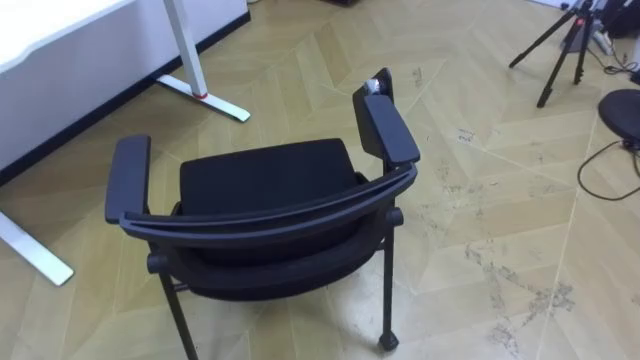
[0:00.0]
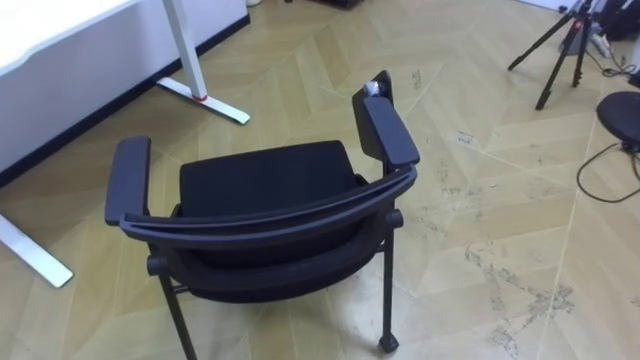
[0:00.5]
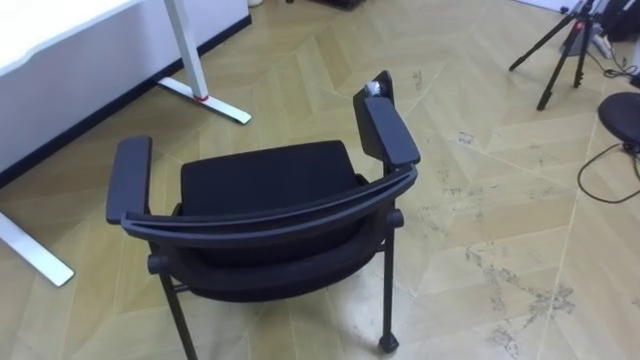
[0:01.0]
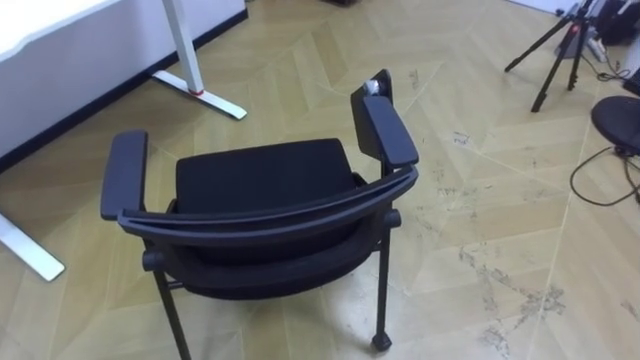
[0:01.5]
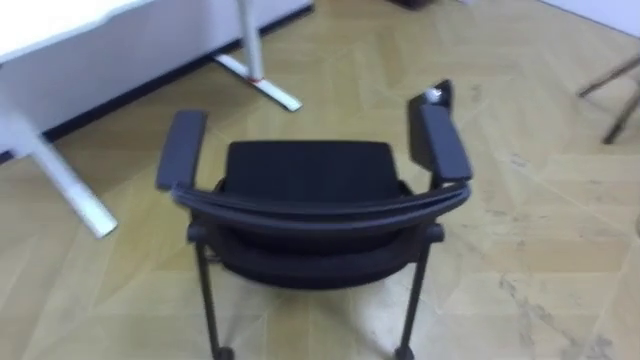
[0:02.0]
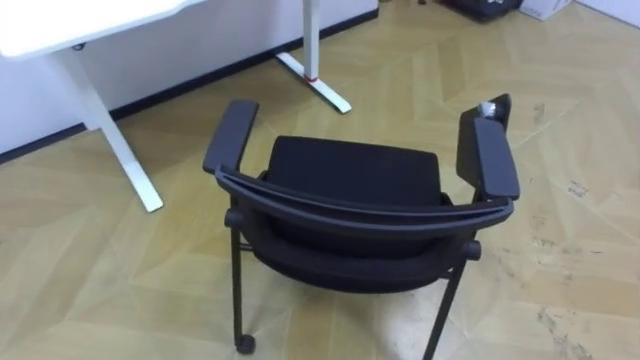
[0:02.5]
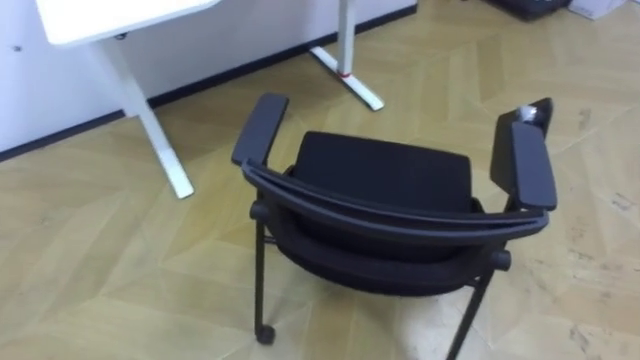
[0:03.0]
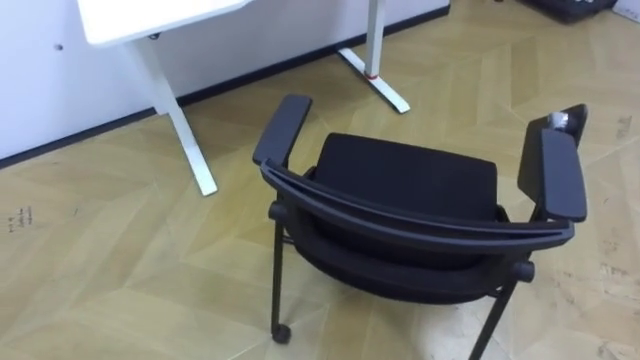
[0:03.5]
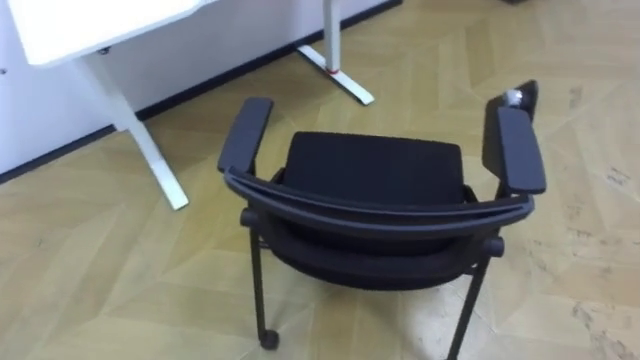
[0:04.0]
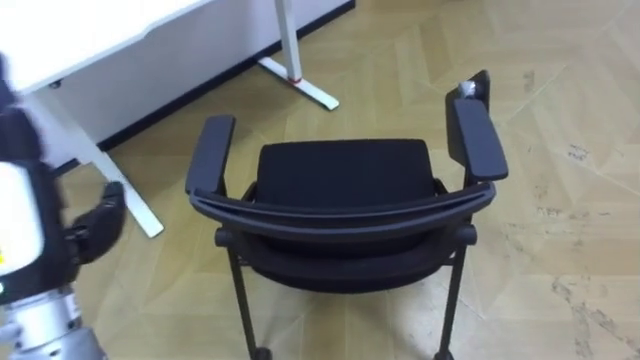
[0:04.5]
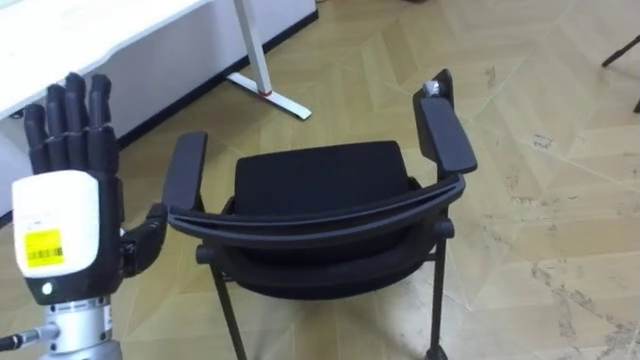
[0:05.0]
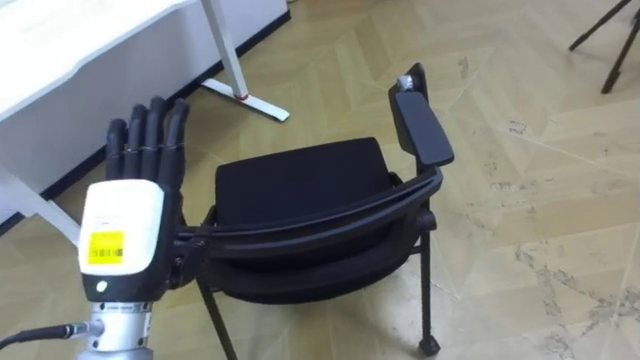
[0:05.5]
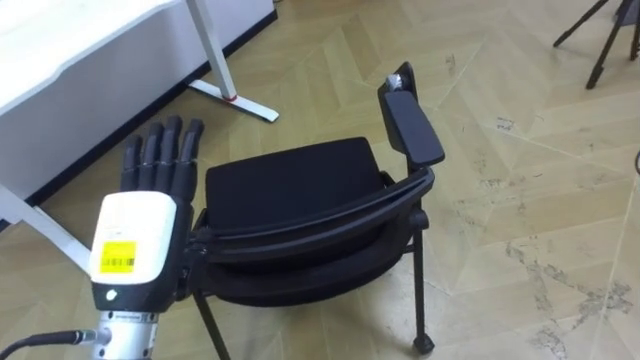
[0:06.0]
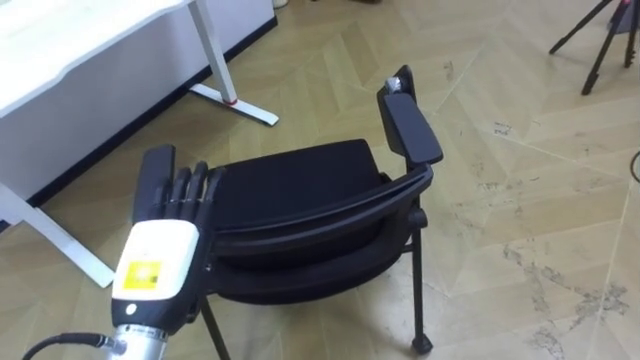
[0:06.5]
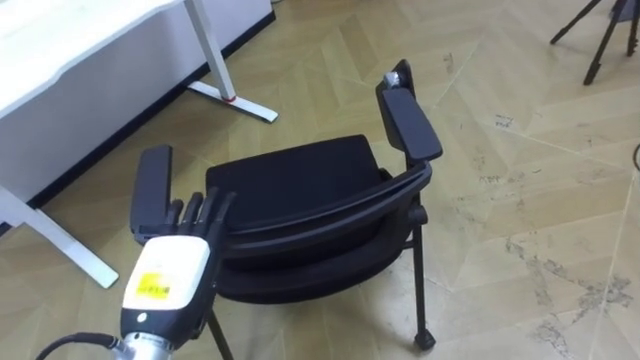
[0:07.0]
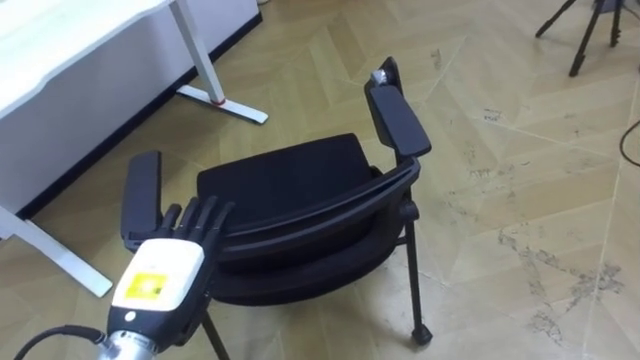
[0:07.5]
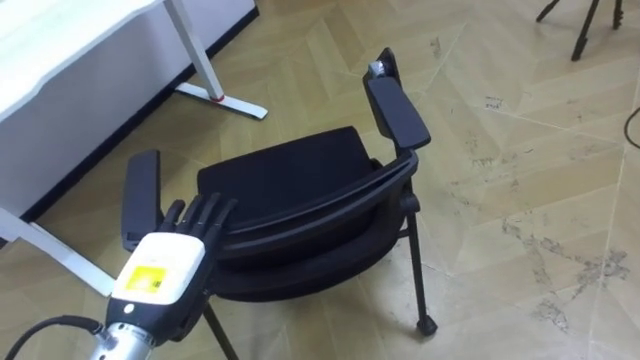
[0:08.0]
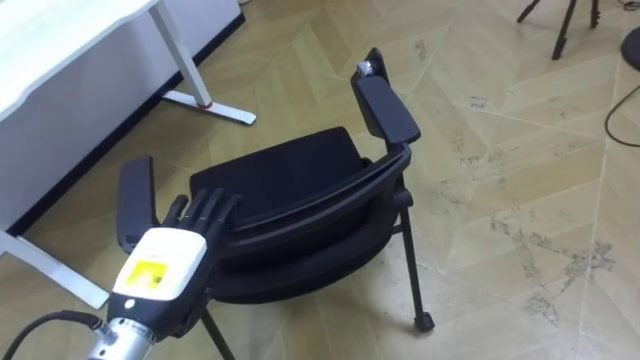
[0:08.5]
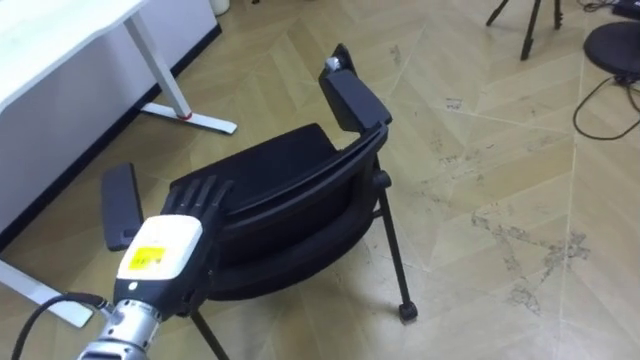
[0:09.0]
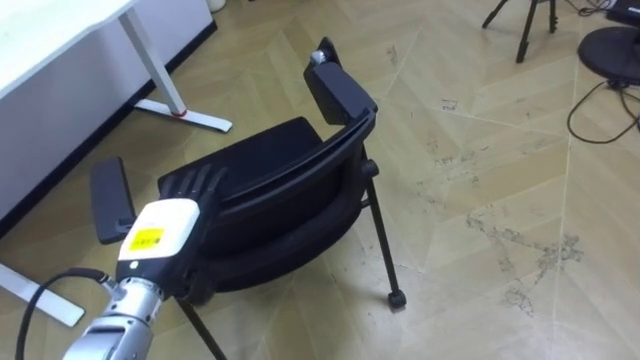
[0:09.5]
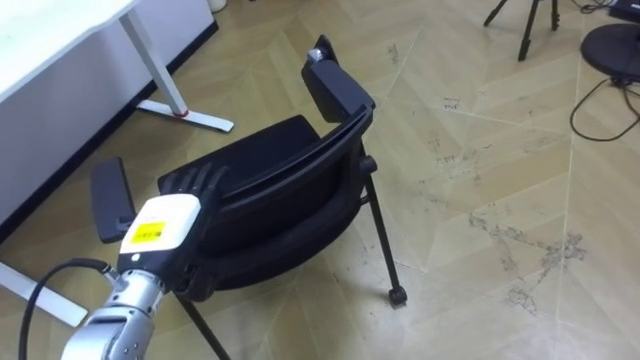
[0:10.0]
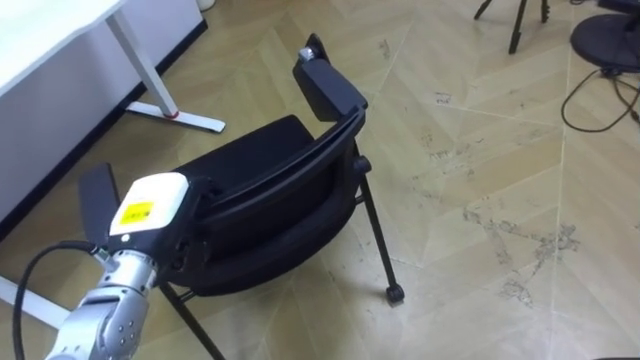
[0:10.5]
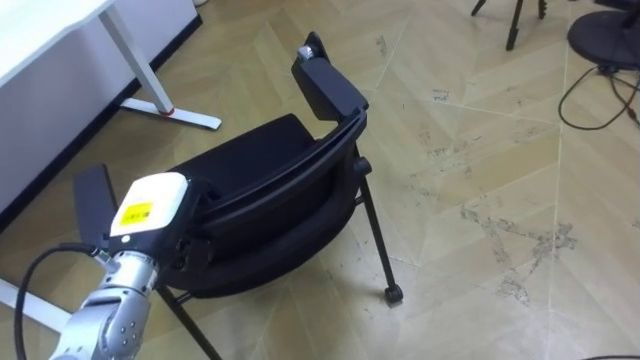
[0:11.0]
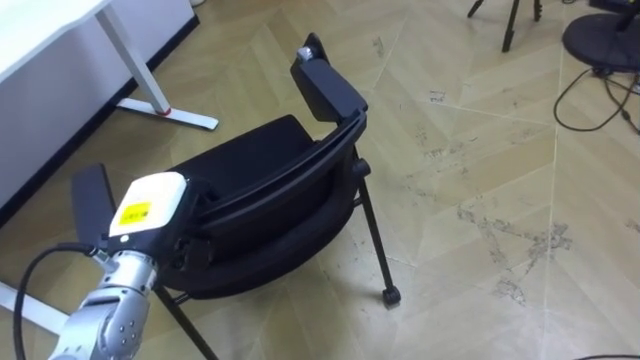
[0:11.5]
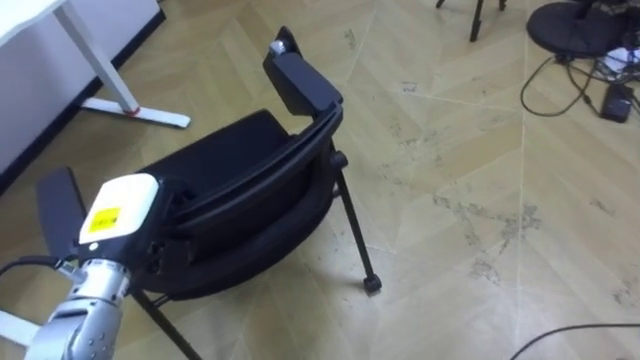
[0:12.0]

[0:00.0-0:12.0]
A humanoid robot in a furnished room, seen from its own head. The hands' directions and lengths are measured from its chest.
Task of the whole recording: Push the chair under the table.
0:06.0 to 0:08.0: The left hand shifts roughly 5 cm downward.
0:08.0 to 0:10.0: The left hand is displaced forward by roughly 5 cm.
0:10.0 to 0:12.0: The left hand closes.

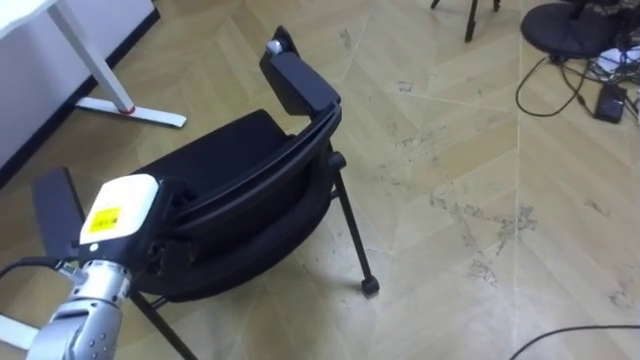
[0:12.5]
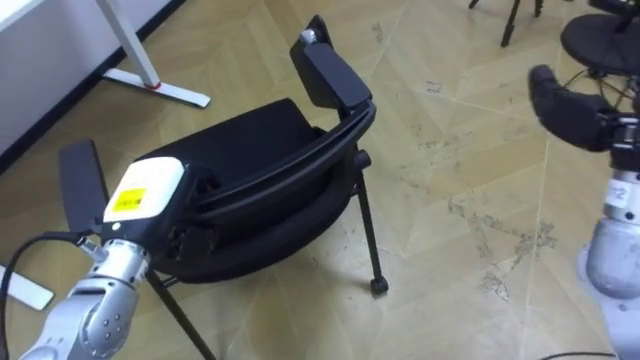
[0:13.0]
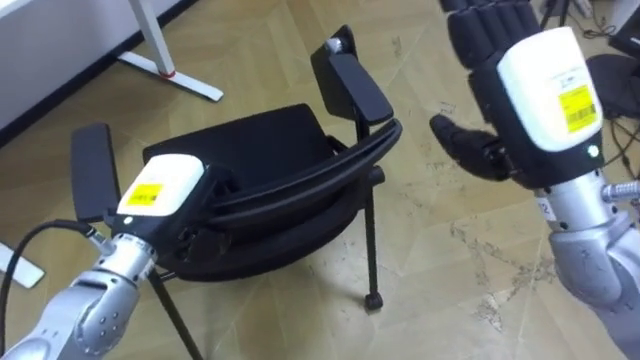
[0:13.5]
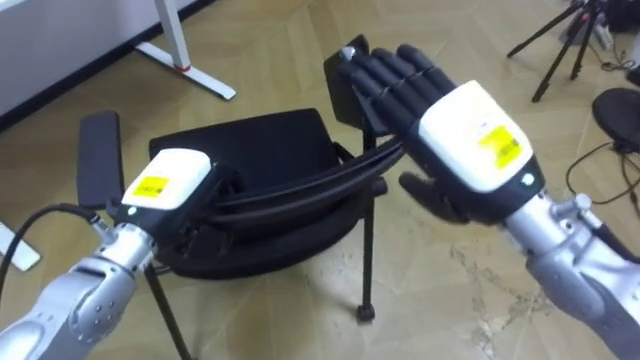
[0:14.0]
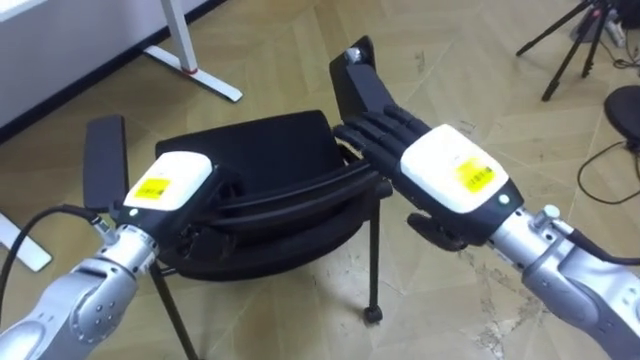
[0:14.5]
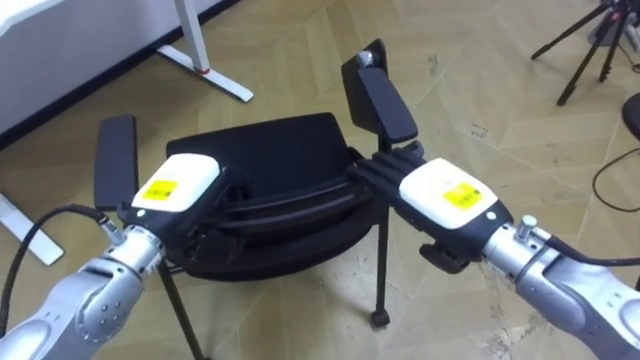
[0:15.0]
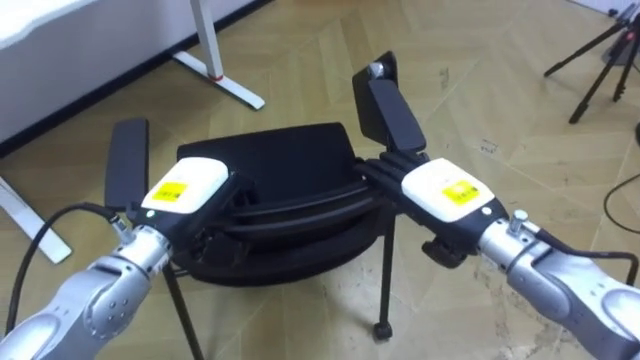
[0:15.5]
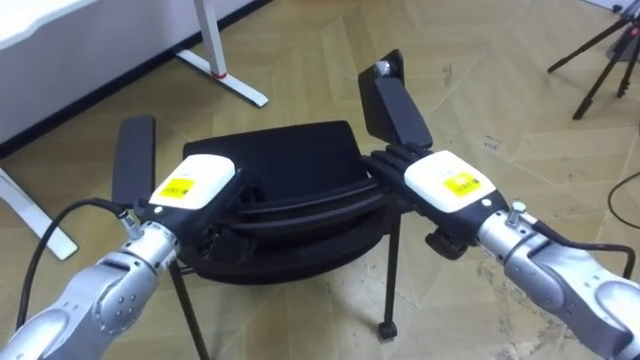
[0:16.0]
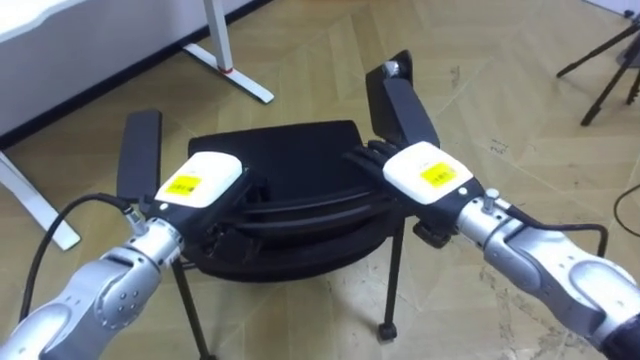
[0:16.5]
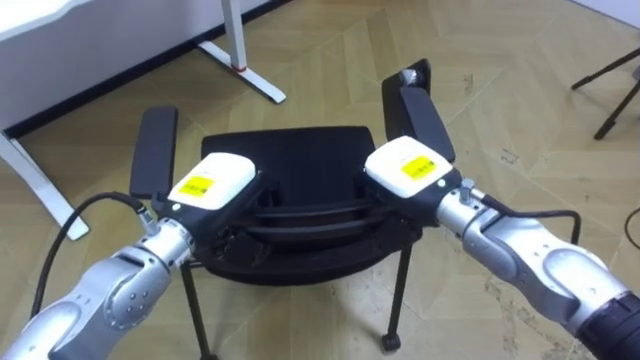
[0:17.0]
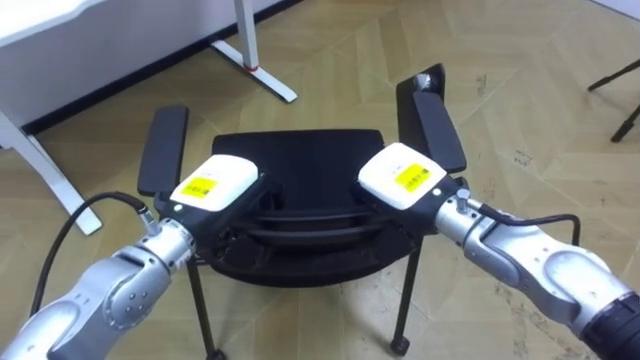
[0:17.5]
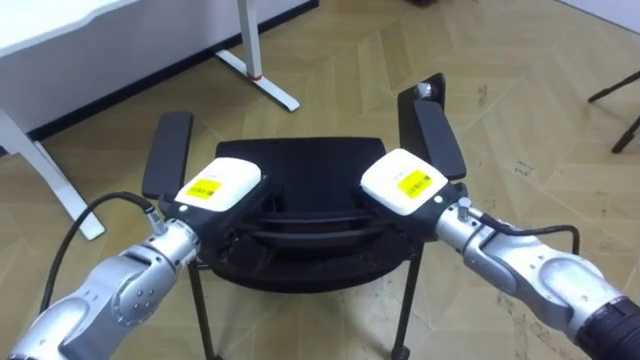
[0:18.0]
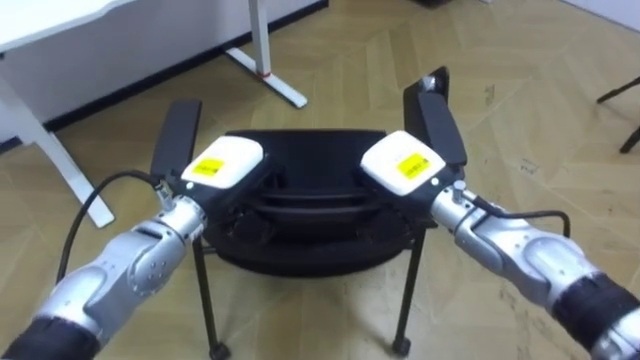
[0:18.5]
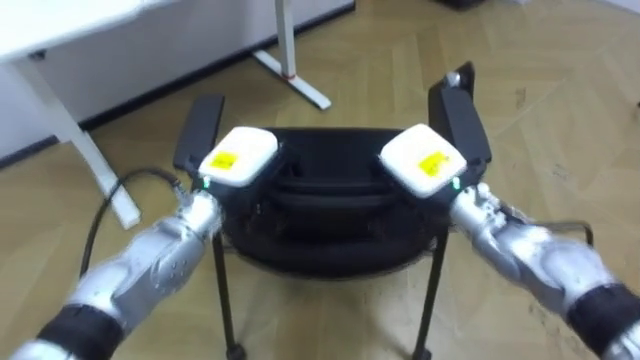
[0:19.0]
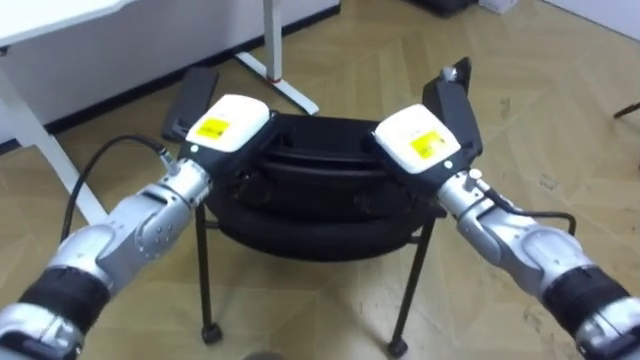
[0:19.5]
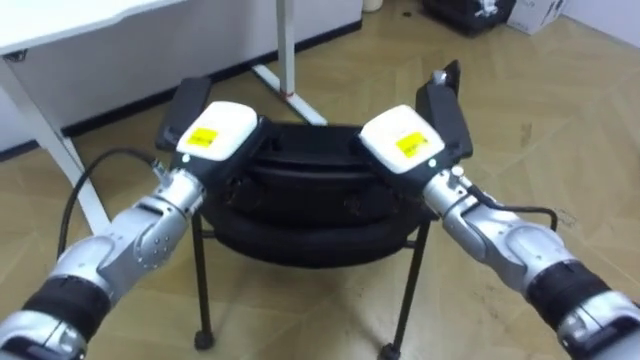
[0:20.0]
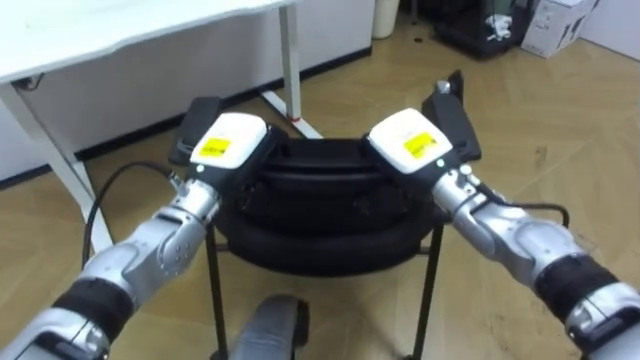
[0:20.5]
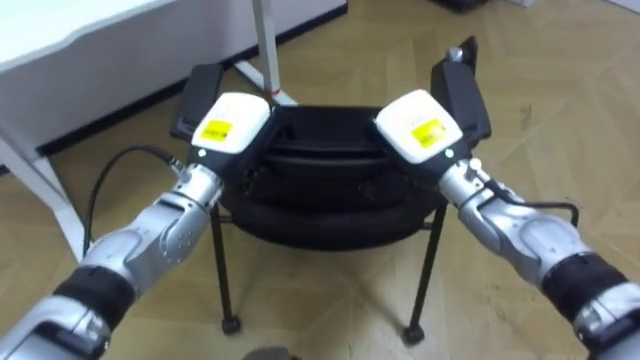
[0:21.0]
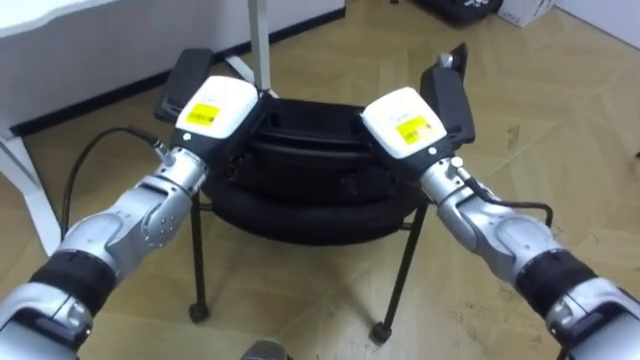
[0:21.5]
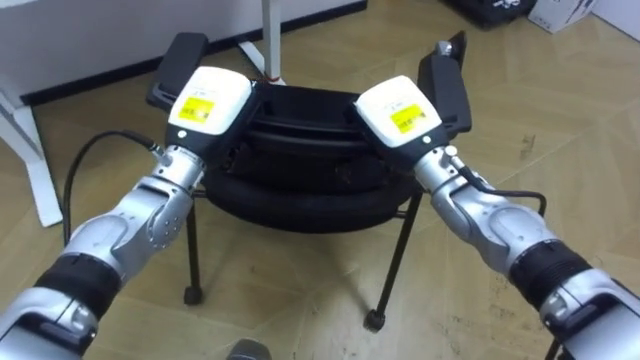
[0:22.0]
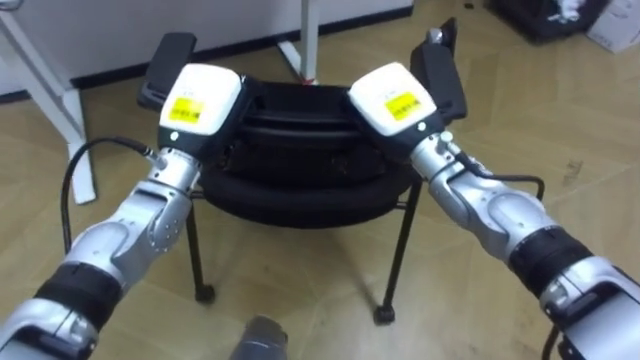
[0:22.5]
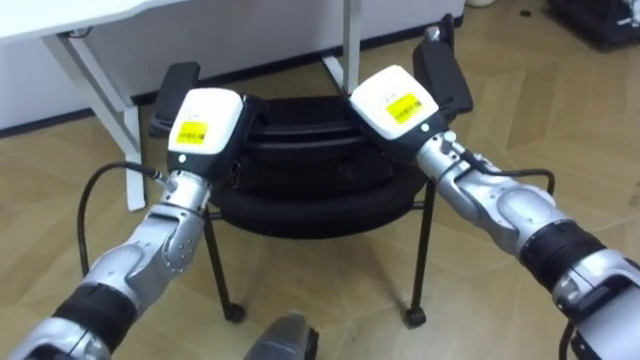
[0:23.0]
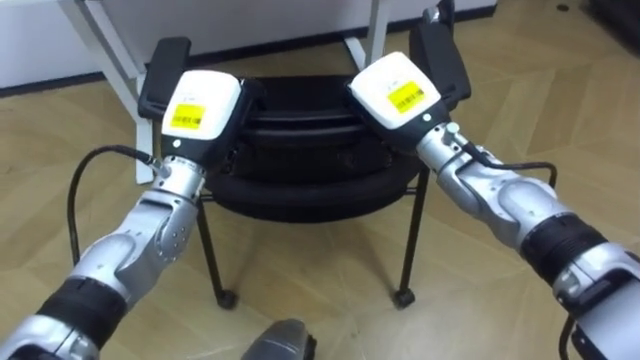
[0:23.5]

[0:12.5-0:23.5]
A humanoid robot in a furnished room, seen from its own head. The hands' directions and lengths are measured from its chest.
Task of the whole recording: Push the chair under the table.
0:12.5 to 0:14.5: The left hand goes roughly 5 cm to the right.
0:14.5 to 0:16.0: The right hand moves downward, approximately 5 cm.
0:16.0 to 0:18.0: The right hand changes place by about 5 cm, and closes.
0:18.0 to 0:20.0: The right hand ends up about 5 cm from where it was, while the left hand goes roughly 5 cm forward.
0:21.5 to 0:23.5: The robot's body swings some 15 degrees to its left.
